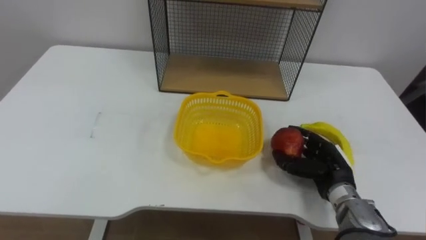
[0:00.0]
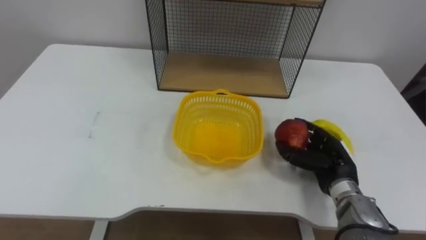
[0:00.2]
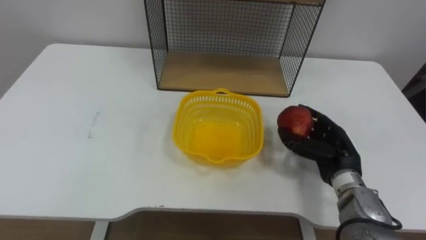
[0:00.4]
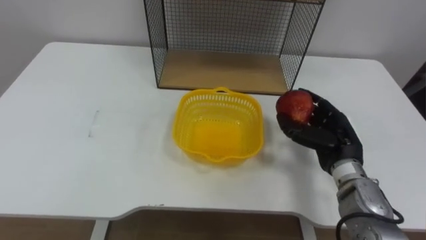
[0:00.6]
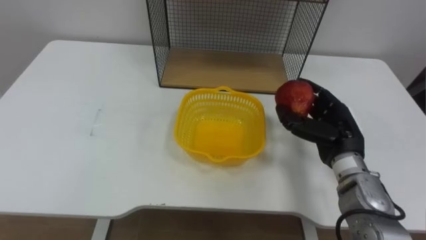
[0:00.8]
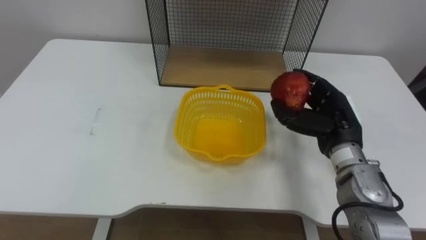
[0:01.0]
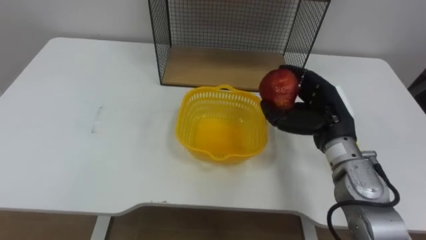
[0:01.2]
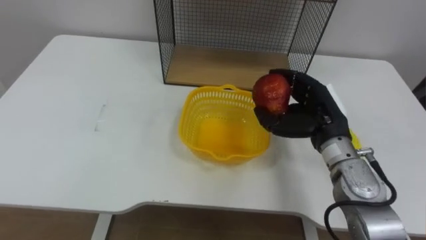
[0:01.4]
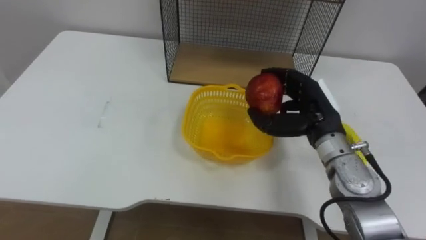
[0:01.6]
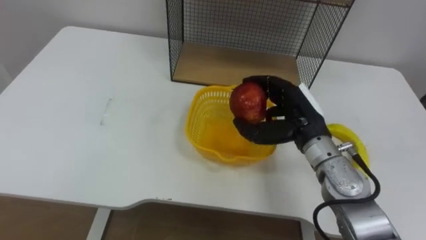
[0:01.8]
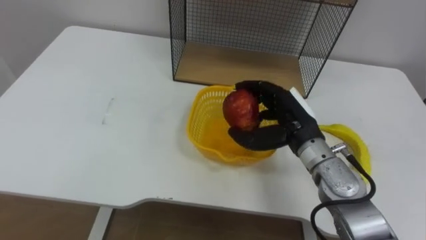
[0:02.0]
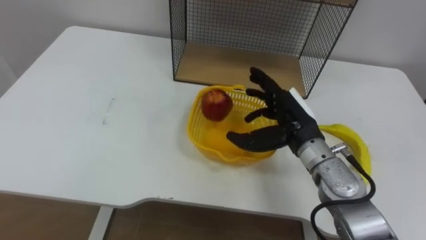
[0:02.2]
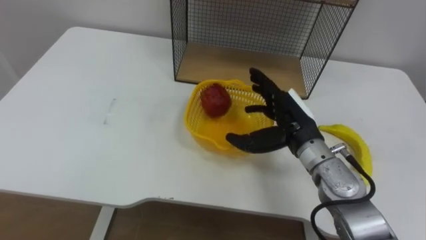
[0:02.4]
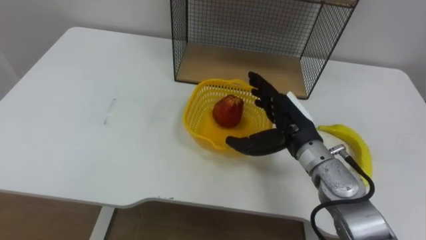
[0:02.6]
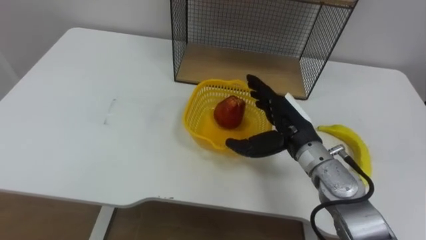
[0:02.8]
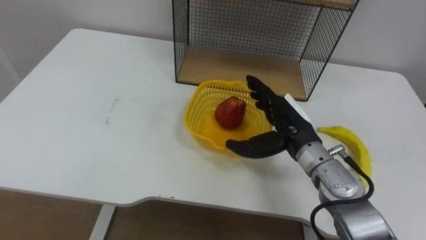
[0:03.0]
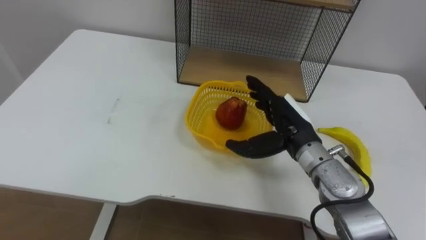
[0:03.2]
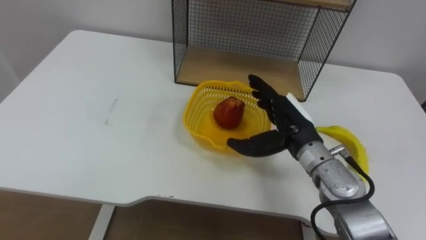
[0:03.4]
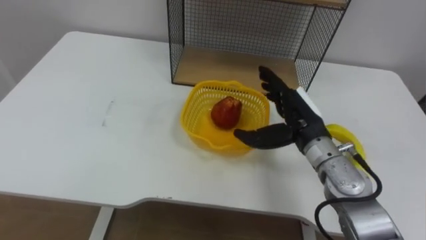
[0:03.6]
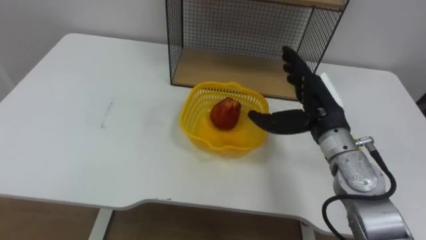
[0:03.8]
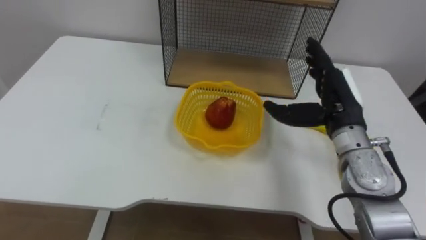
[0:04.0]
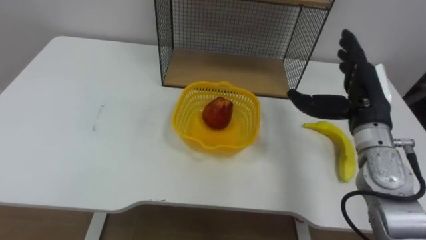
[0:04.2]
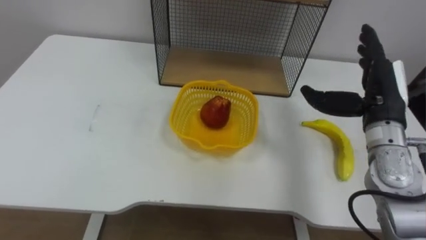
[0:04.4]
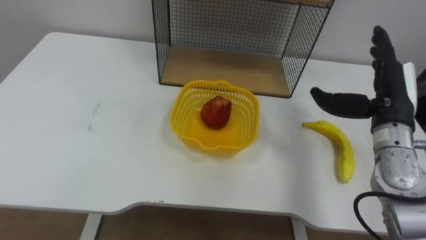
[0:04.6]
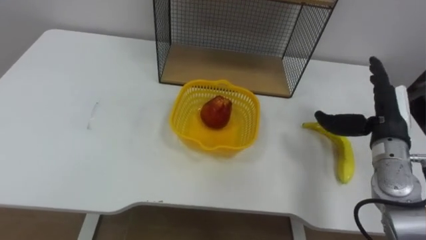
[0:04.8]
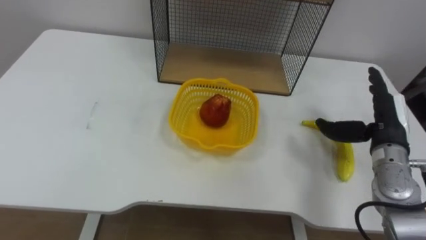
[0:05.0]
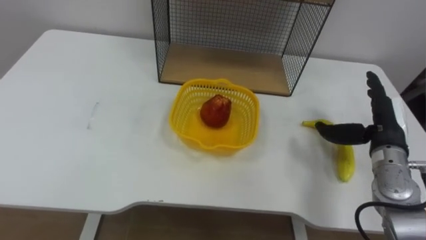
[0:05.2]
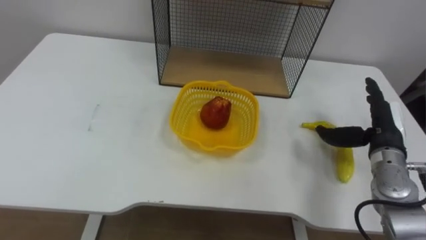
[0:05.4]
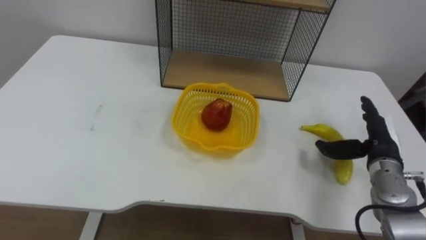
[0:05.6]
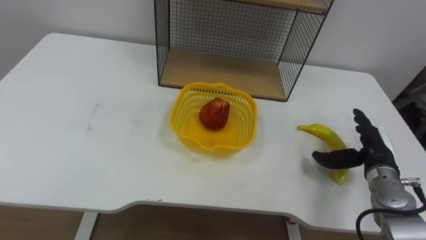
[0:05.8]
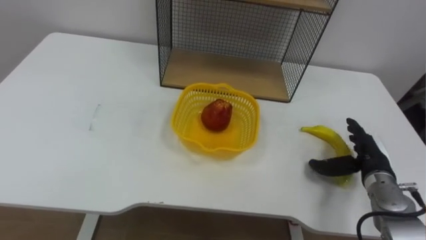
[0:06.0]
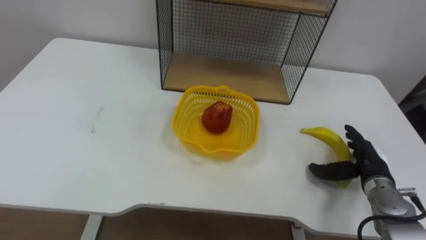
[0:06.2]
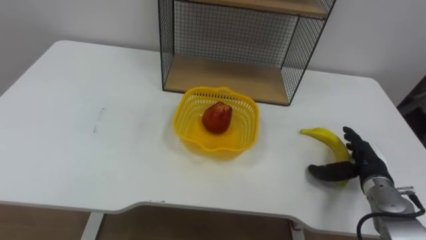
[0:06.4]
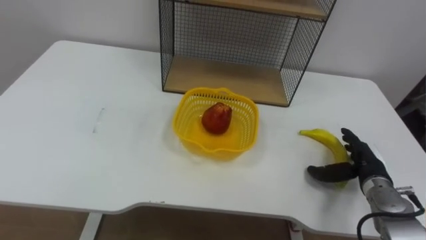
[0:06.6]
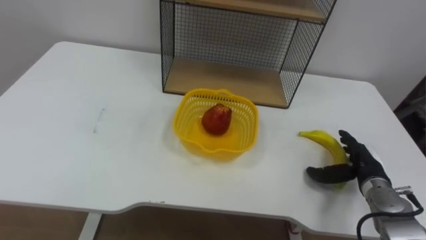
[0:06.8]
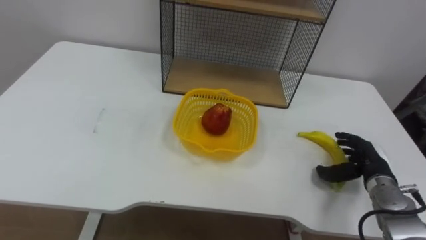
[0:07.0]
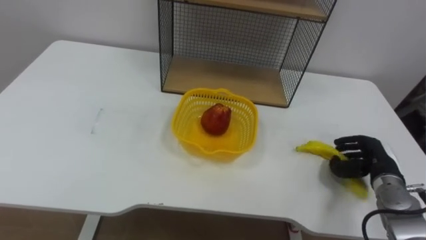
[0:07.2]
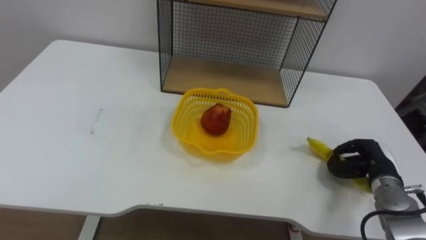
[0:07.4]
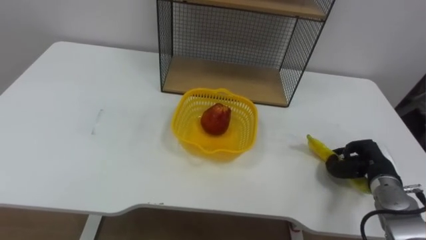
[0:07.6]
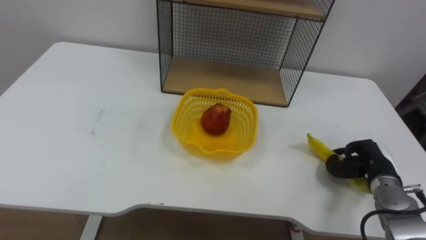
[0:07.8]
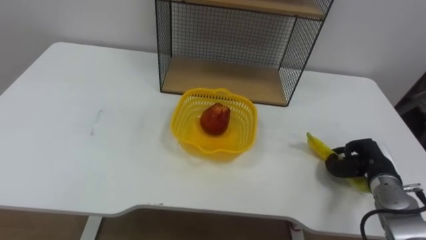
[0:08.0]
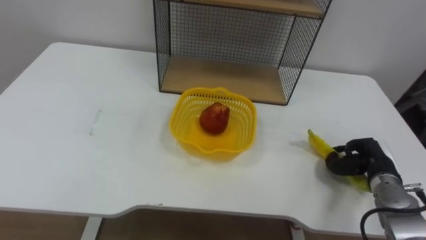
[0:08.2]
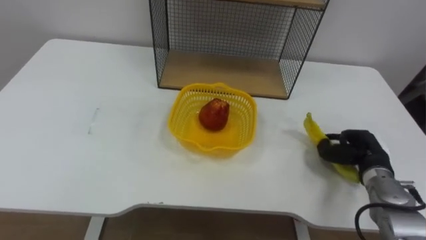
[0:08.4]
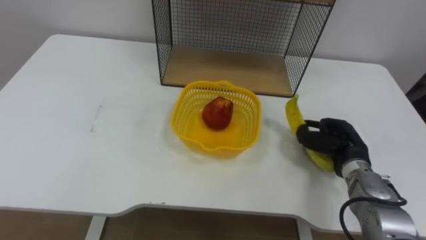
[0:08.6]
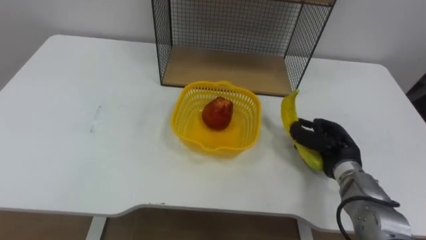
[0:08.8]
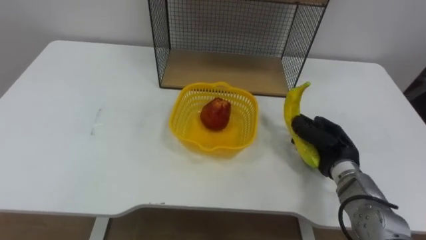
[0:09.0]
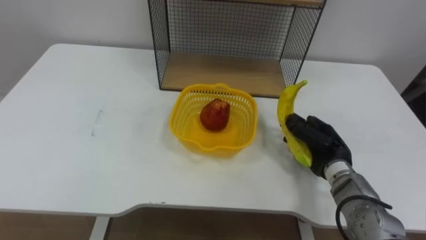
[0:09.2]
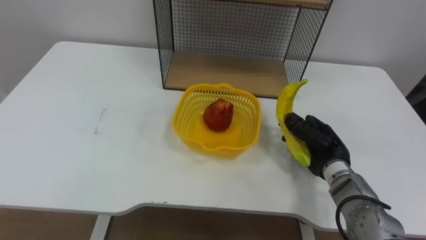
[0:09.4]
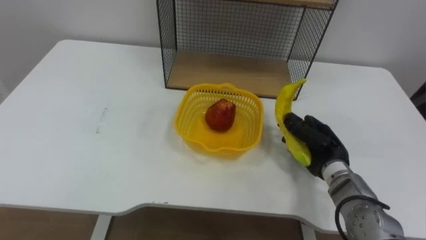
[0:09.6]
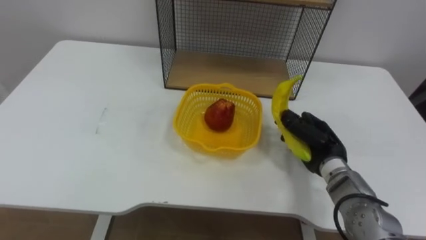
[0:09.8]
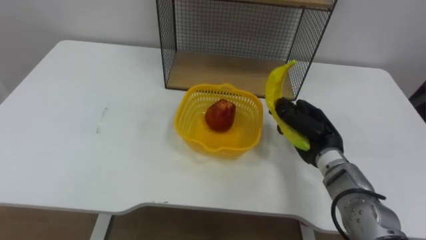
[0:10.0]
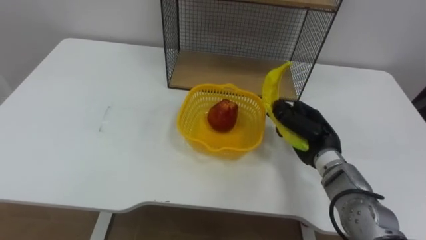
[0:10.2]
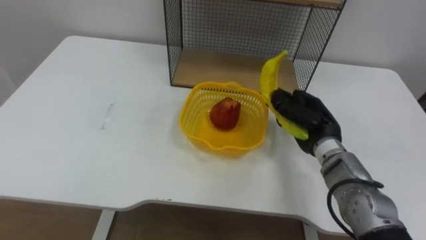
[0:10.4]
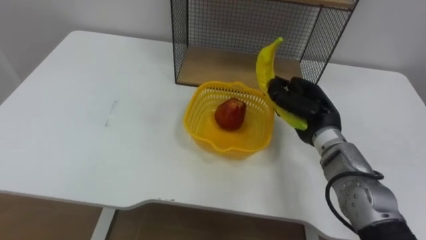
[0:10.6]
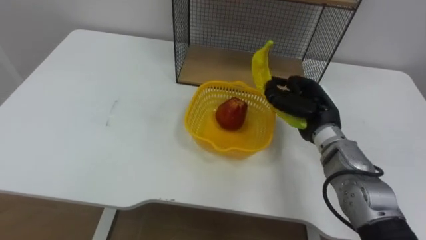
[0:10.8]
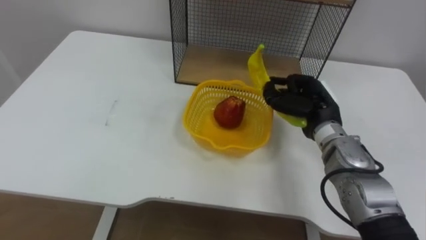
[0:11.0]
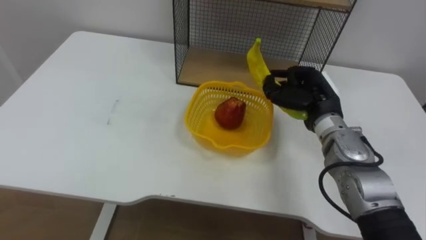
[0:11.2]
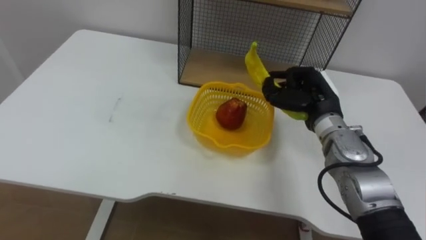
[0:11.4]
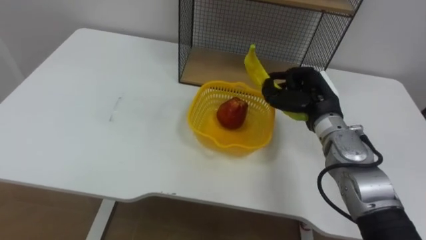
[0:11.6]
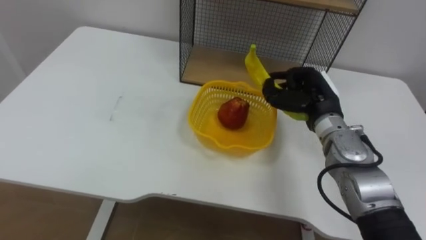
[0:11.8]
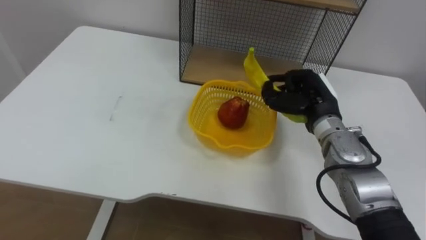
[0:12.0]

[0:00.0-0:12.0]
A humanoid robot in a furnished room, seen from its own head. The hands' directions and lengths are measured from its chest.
Task of the whole recording: Put the fruit on the table into the basket, then place the basket on the shelf.
0:00.0 to 0:01.6: The right hand goes roughly 15 cm upward.
0:01.6 to 0:03.0: The right hand shifts by roughly 5 cm, and opens its fingers.
0:03.0 to 0:04.4: The right hand travels to the right and upward by approximately 15 cm.
0:04.4 to 0:06.0: The right hand moves downward, approximately 15 cm.
0:06.0 to 0:07.6: The right hand closes.
0:07.6 to 0:09.0: The right hand is displaced to the left by some 10 cm.
0:09.0 to 0:10.4: The right hand changes place by some 5 cm.
0:10.4 to 0:12.0: The right hand shifts by approximately 5 cm.

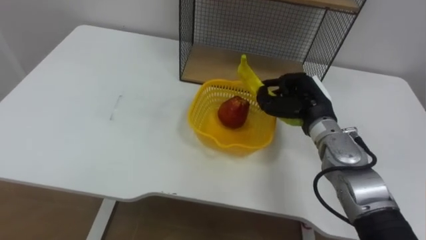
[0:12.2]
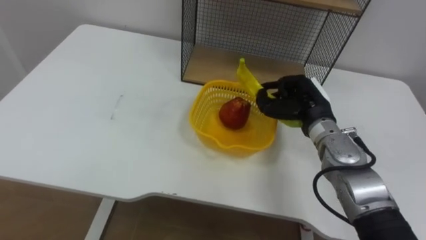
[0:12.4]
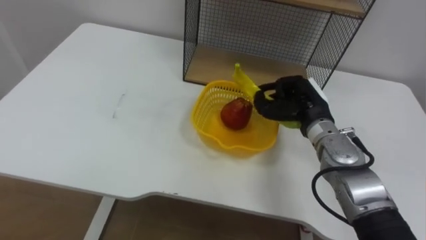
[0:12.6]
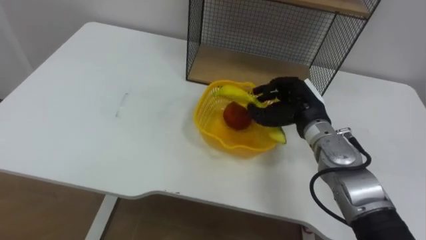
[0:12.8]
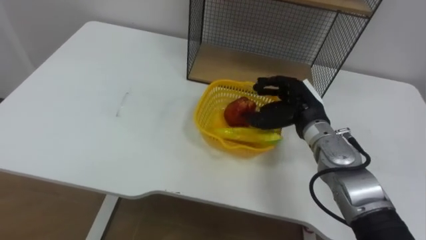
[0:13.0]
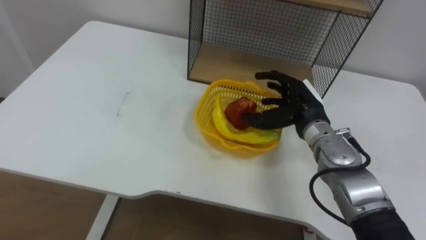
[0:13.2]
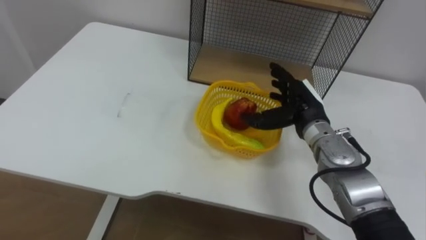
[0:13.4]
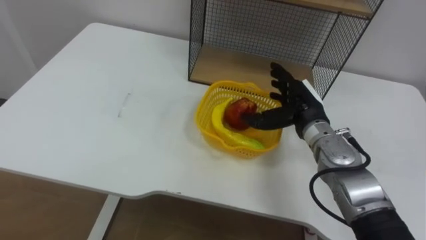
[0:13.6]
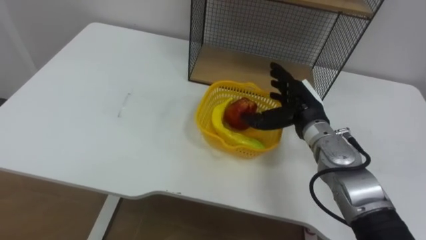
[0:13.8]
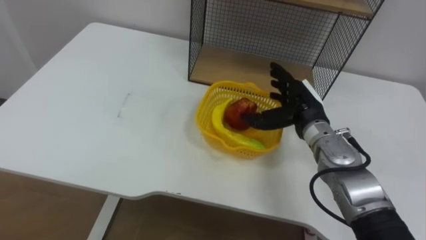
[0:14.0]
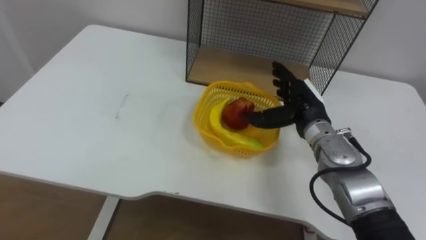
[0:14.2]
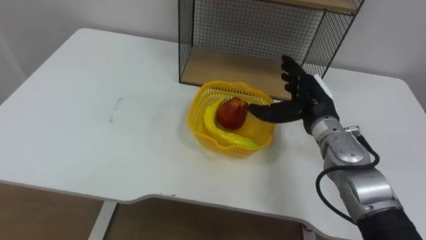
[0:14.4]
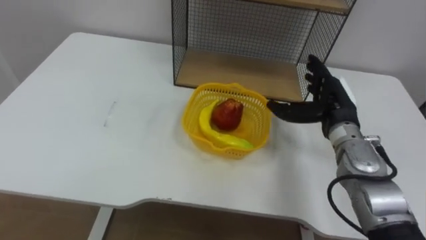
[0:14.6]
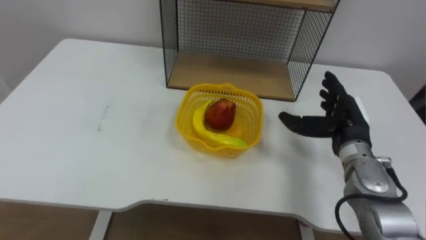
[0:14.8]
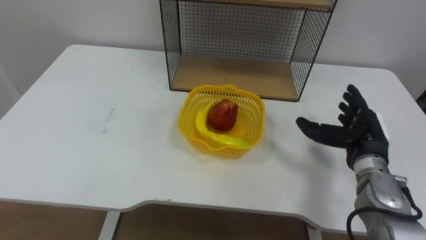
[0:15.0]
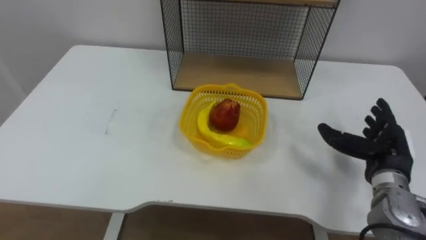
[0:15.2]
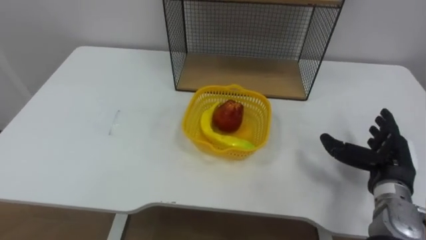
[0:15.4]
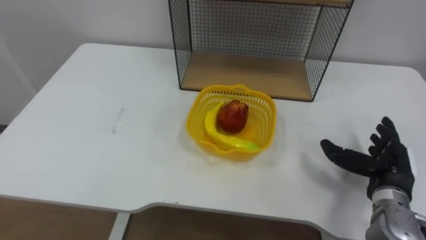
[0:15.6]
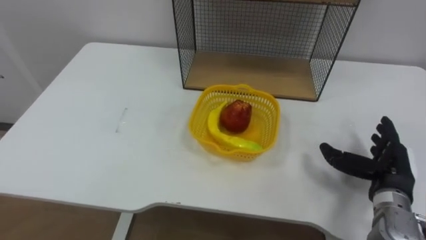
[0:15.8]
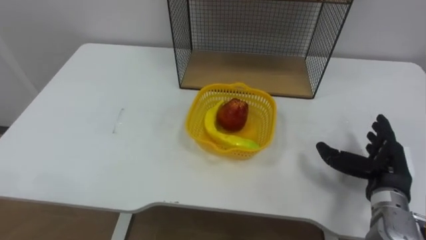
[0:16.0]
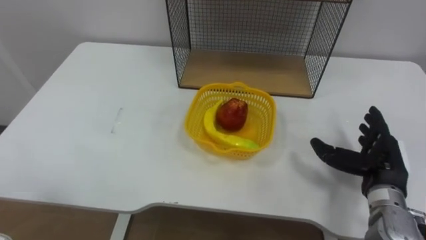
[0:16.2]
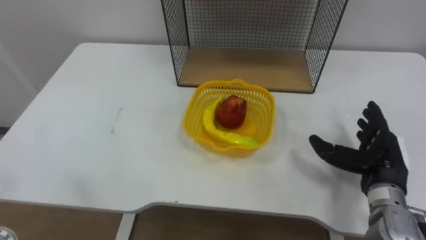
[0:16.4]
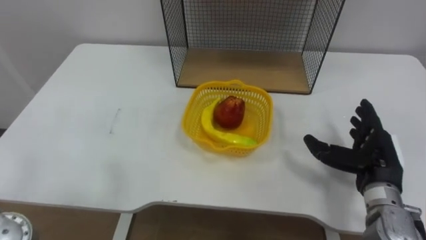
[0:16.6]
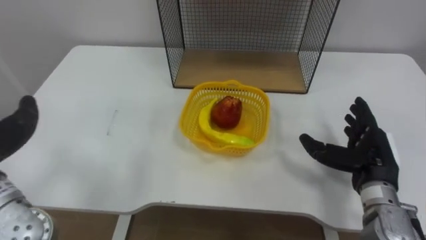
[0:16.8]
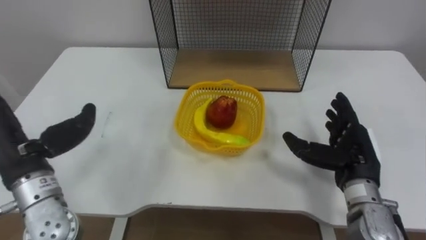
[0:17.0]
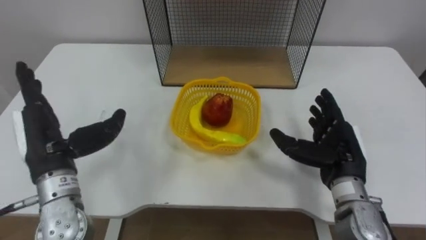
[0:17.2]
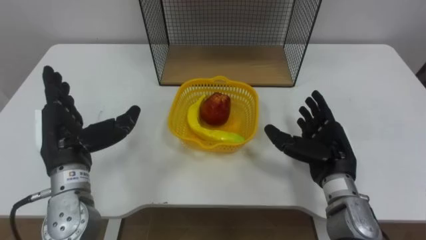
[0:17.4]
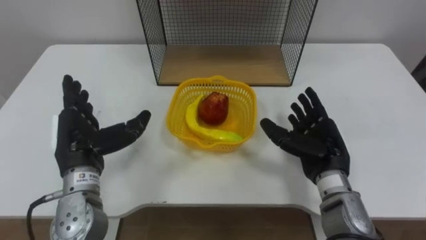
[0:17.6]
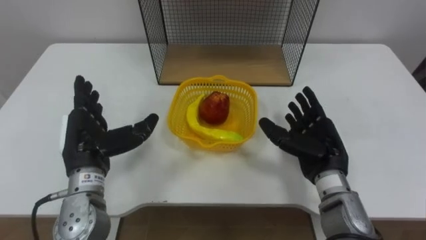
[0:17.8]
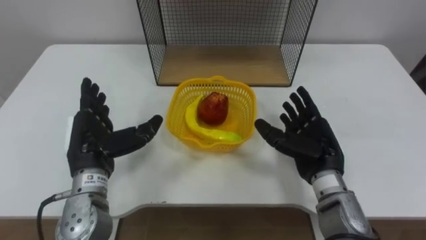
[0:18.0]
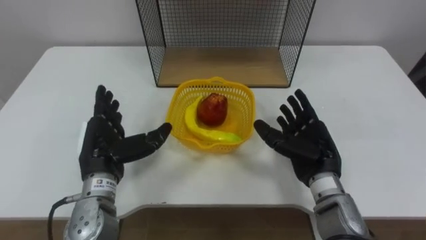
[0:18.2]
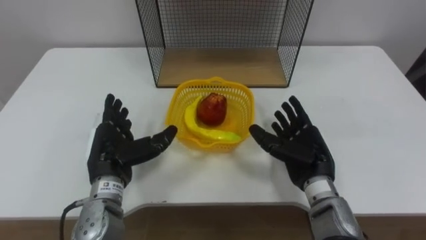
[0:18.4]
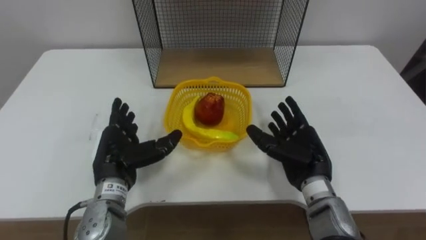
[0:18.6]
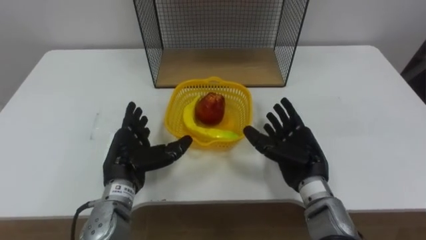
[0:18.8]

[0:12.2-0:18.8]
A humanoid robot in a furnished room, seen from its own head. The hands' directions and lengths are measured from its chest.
Task of the whole recording: Put the fruit on the table into the basket, then place the basket on the shelf.
0:12.2 to 0:13.8: The right hand opens up.
0:13.8 to 0:15.4: The right hand is displaced to the right and backward by approximately 20 cm.
0:15.4 to 0:17.2: The right hand shifts approximately 10 cm to the left.
0:17.2 to 0:18.8: The right hand travels to the left by roughly 5 cm; the left hand heads to the right and downward, covering about 15 cm.
